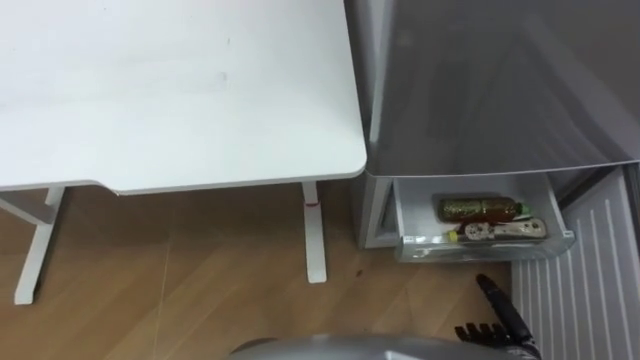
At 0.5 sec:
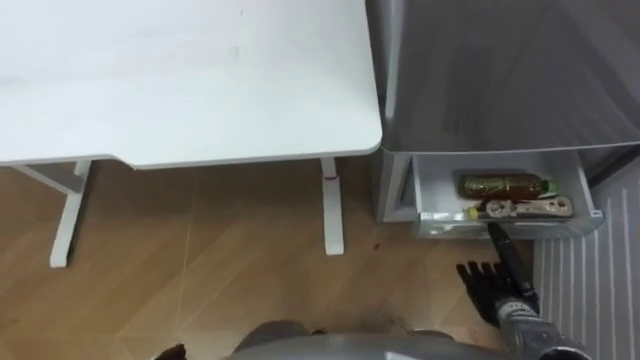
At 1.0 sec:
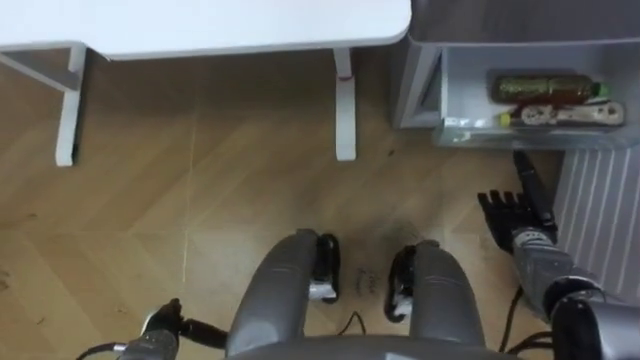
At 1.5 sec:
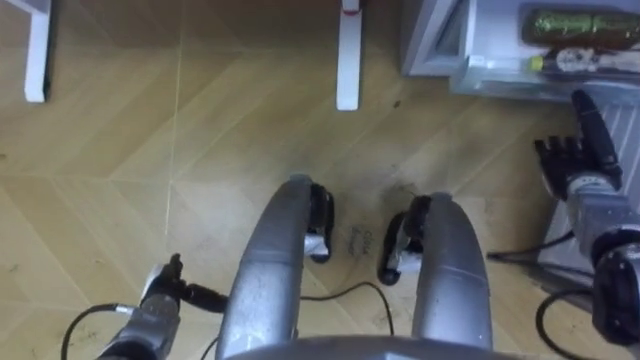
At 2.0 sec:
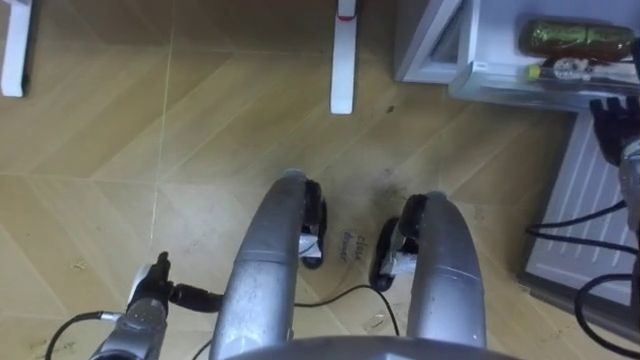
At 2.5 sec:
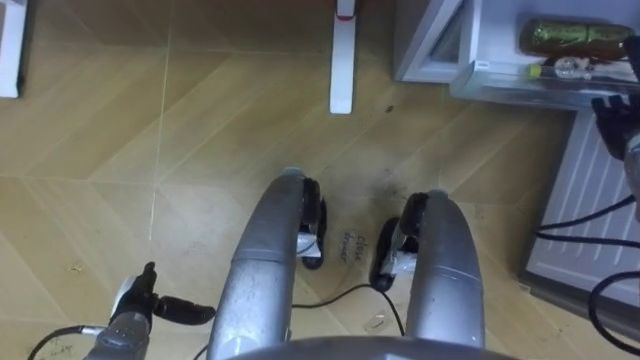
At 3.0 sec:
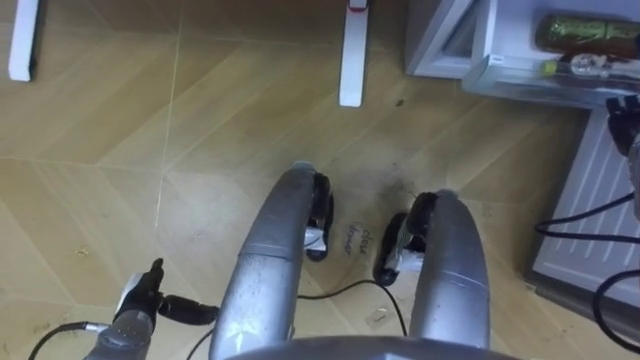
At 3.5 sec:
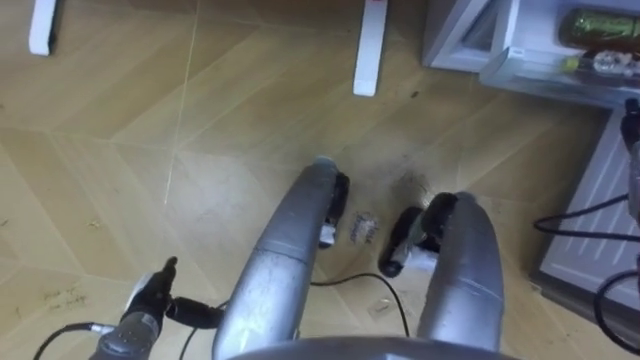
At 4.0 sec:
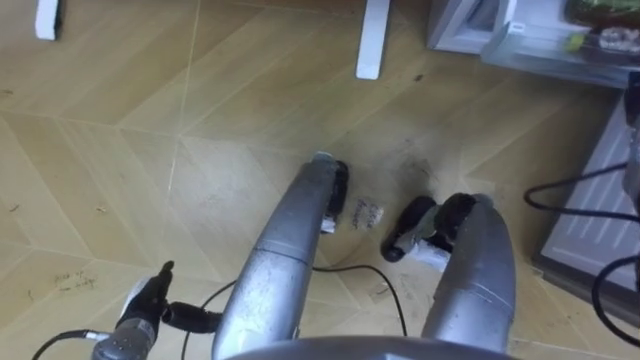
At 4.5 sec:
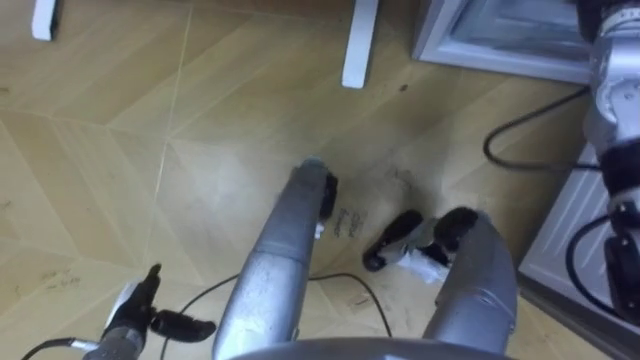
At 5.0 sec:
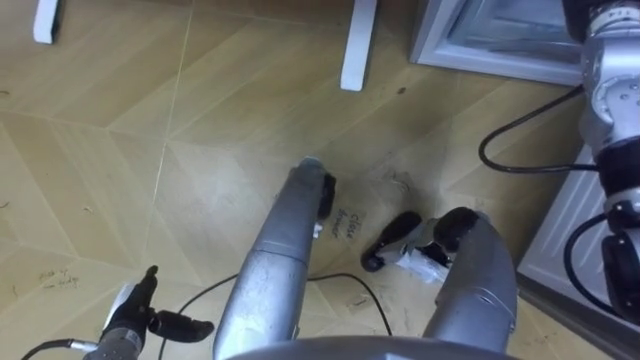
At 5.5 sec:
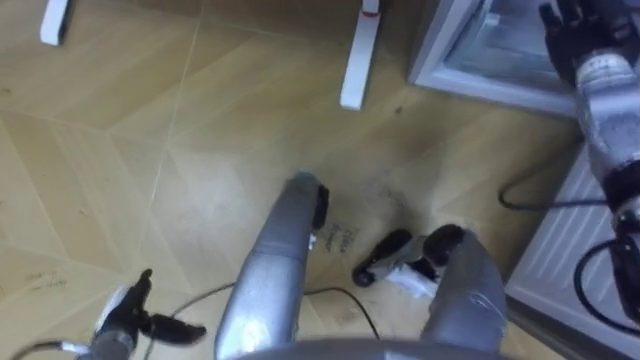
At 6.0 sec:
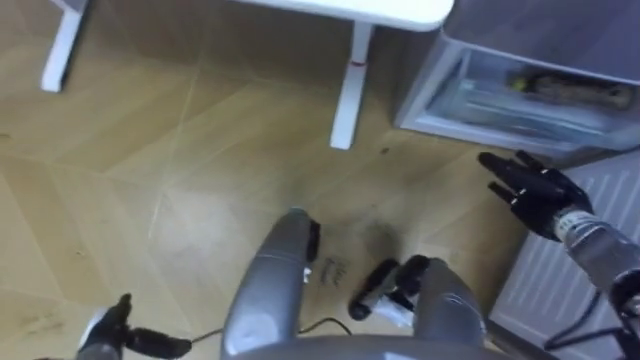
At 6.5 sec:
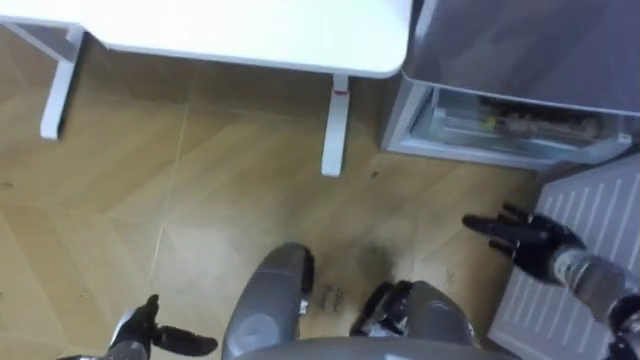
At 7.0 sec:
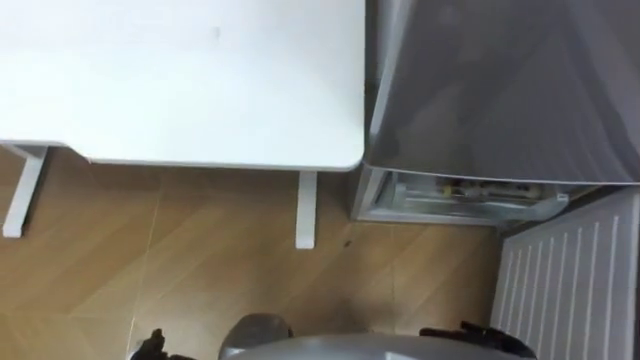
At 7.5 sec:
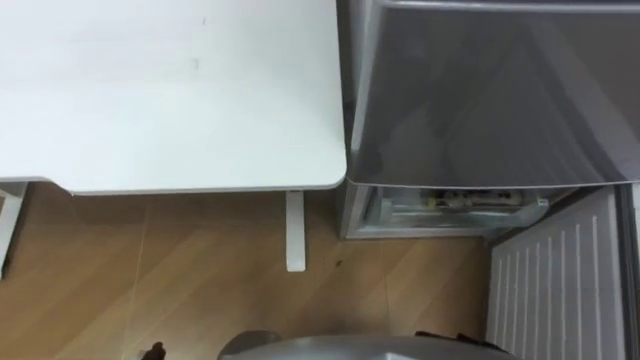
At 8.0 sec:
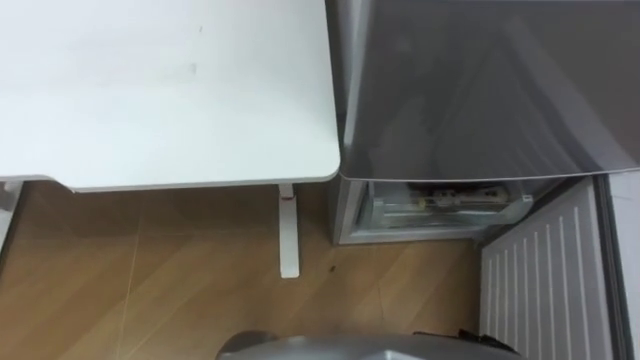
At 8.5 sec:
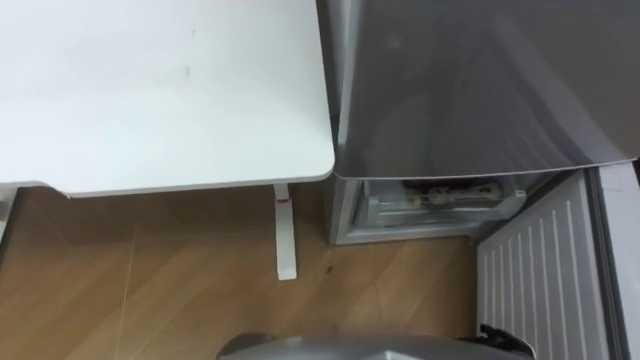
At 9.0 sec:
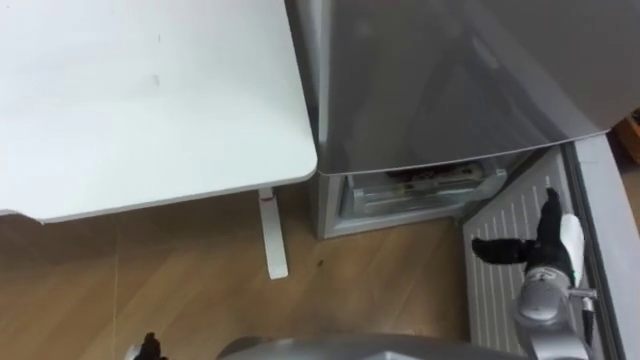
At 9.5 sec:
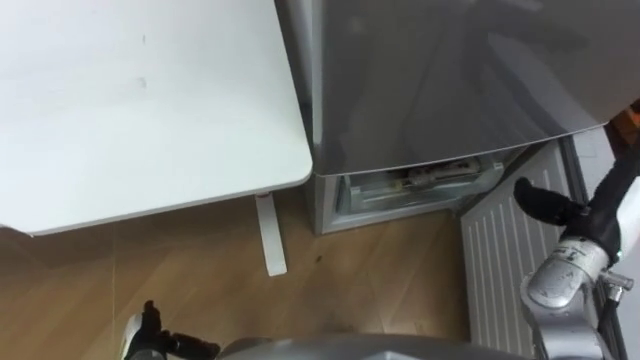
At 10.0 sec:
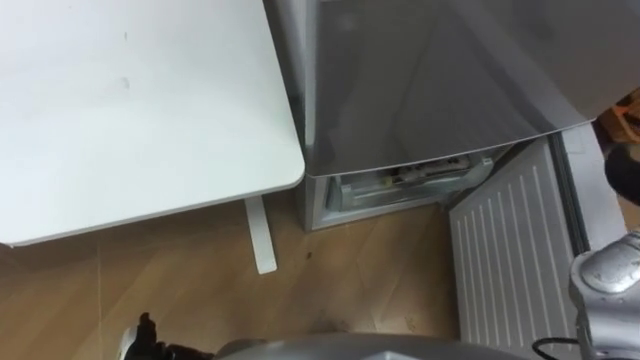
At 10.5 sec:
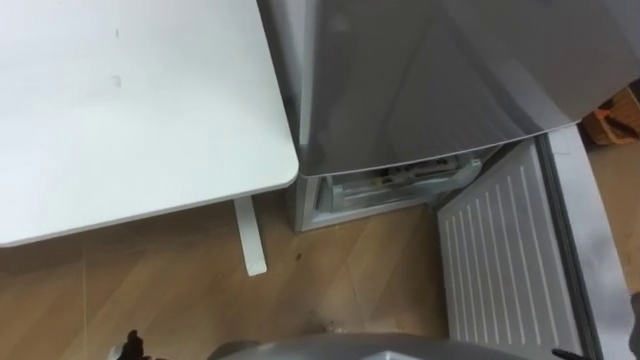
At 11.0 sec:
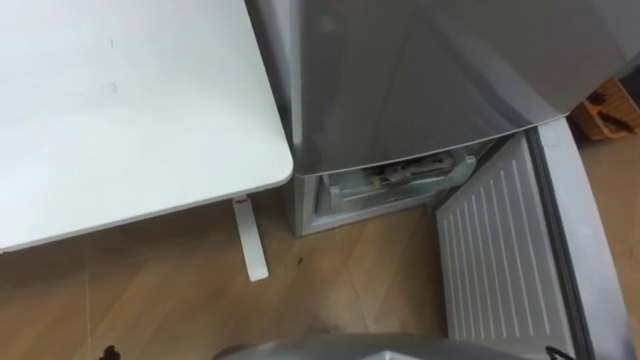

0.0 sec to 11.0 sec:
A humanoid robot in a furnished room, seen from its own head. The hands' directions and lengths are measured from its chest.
Task of the whole recording: Place the drink on the table on the bottom shelf of the refrigerator, then close the drawer and the refrigerator door.
0.0 sec to 2.0 sec: The right hand shifts some 35 cm forward, upward and to the right.

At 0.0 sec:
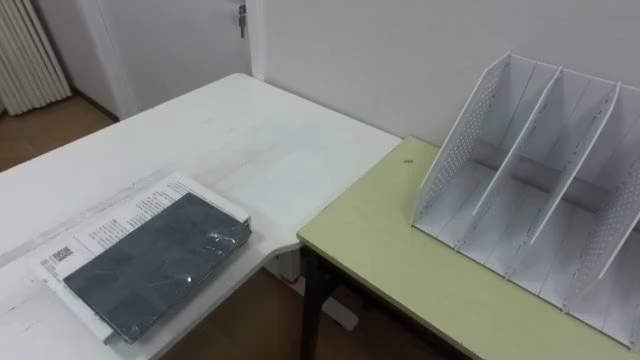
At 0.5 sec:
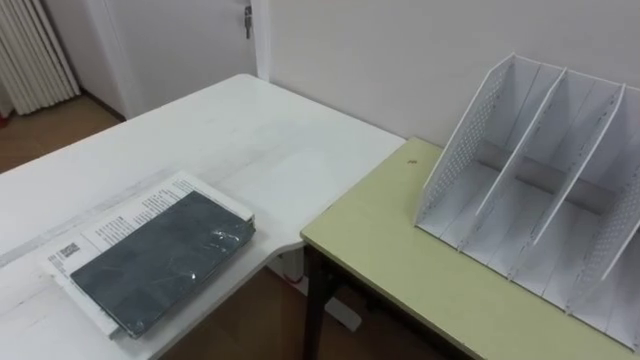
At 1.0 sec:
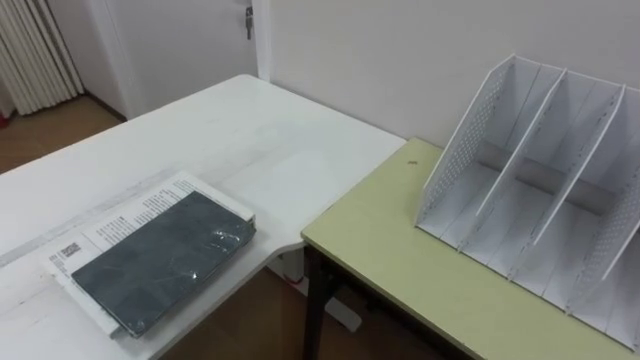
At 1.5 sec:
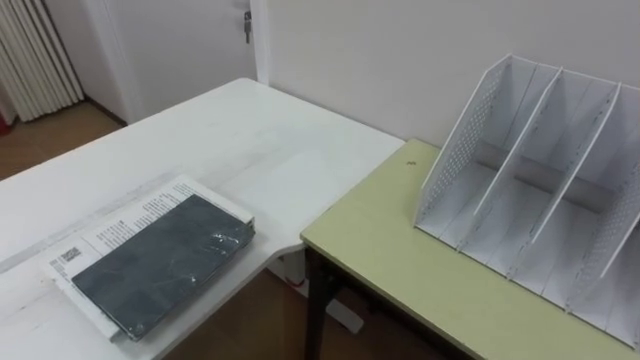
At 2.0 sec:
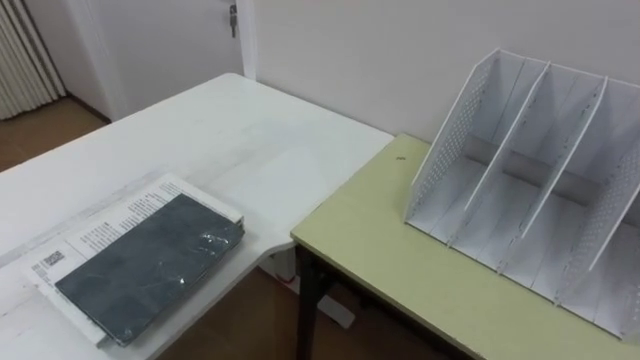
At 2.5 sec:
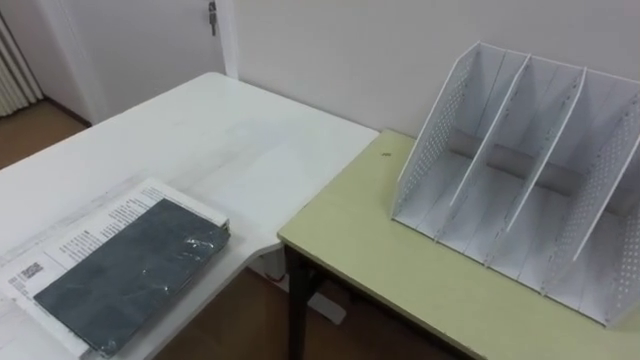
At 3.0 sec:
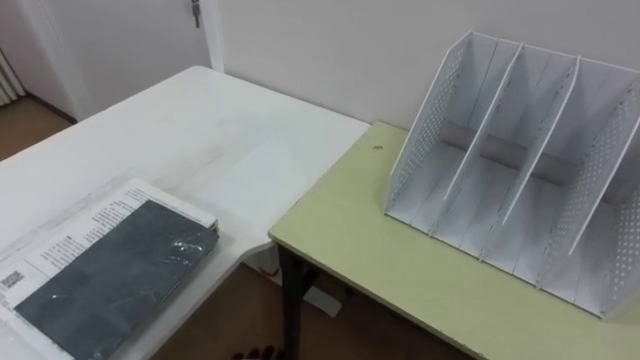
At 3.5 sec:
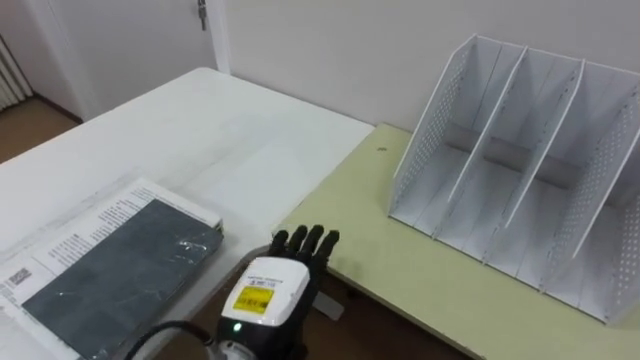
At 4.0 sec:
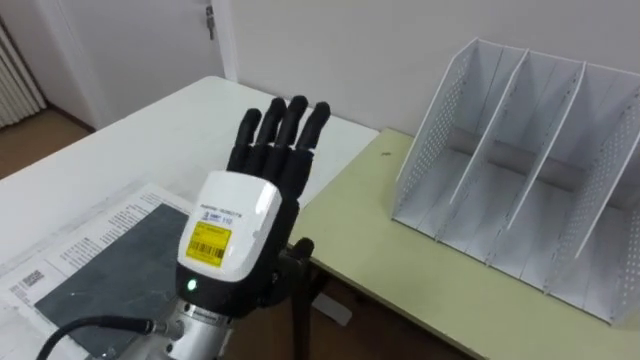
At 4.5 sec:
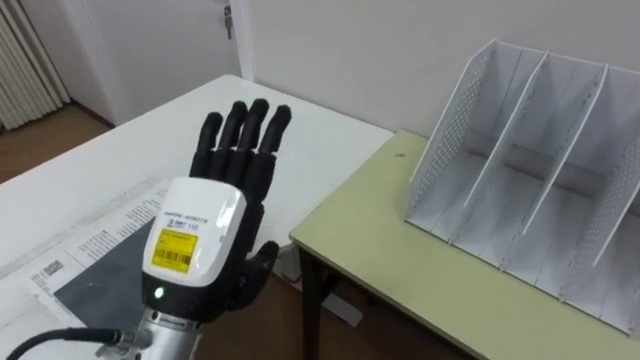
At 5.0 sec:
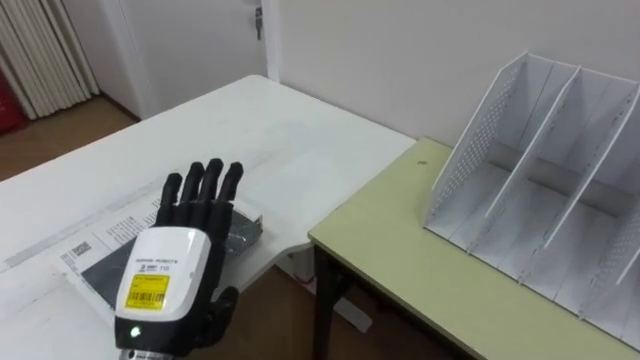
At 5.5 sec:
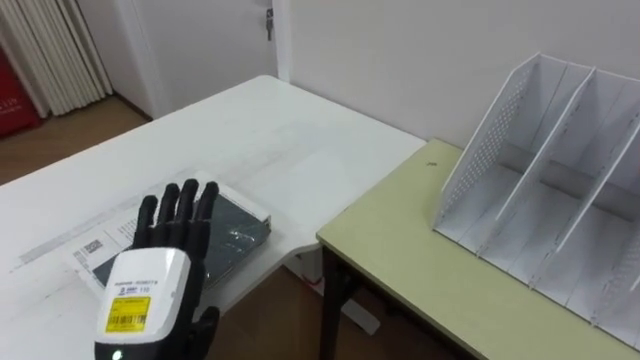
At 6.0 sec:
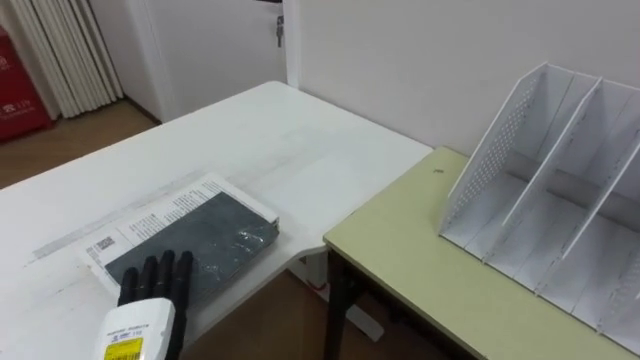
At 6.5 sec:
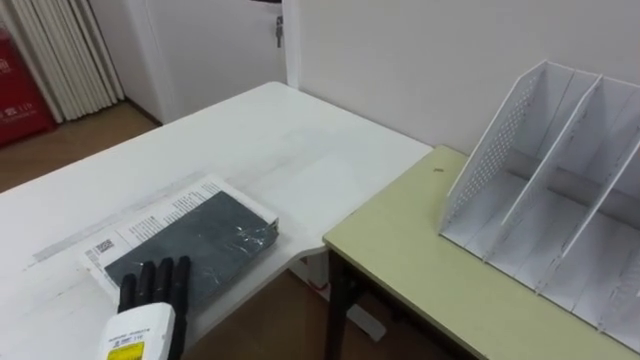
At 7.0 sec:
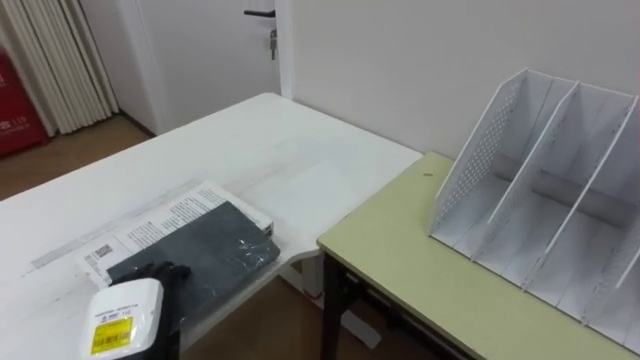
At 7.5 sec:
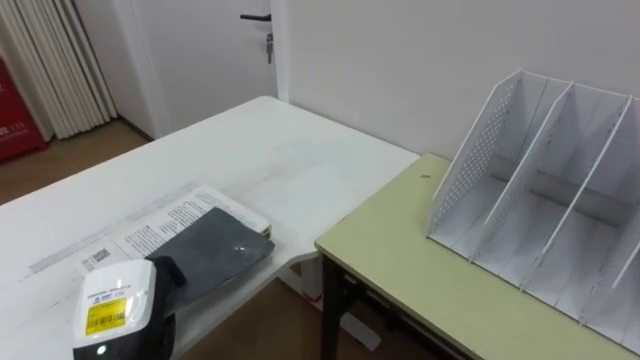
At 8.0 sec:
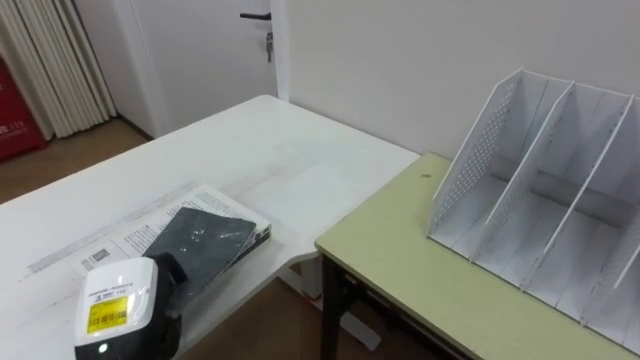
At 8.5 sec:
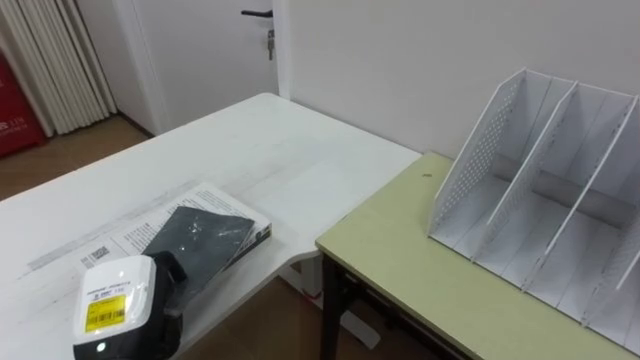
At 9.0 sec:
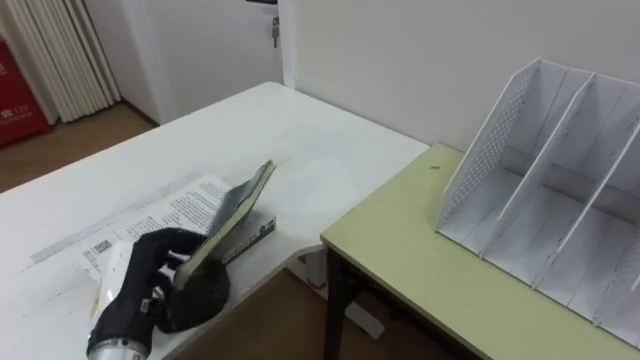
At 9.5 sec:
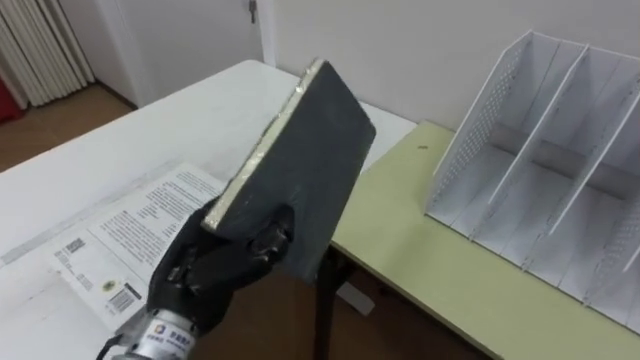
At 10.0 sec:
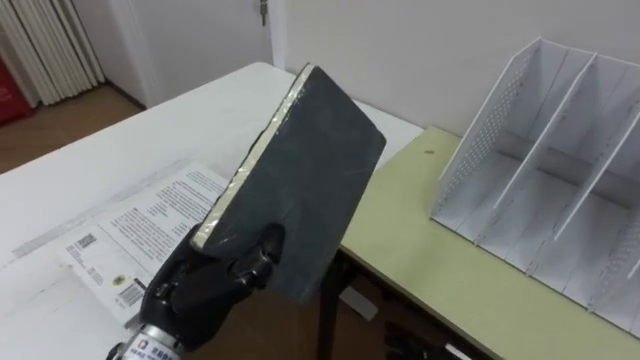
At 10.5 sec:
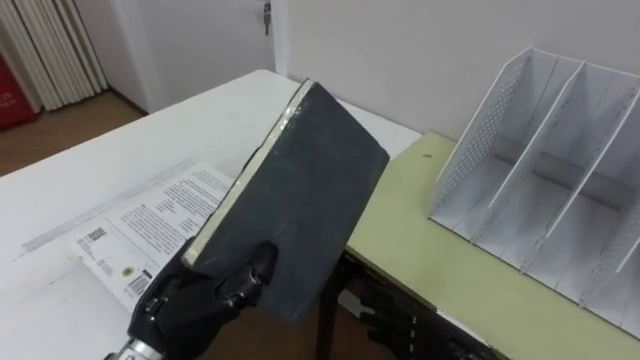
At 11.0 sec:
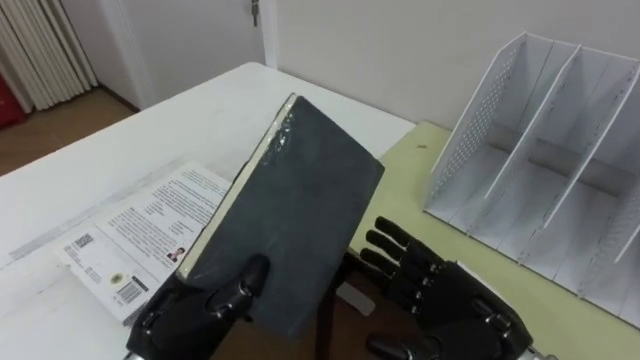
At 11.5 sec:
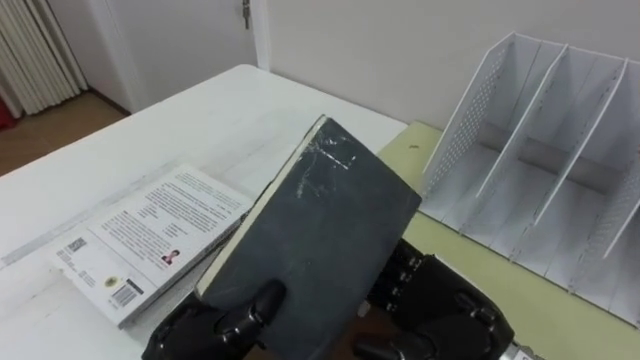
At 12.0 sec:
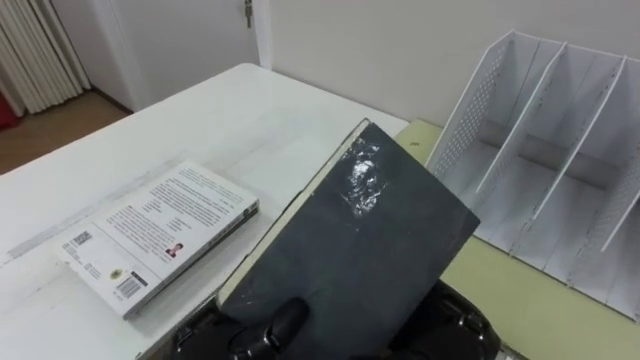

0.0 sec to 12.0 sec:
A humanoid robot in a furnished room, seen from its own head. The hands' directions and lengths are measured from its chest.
Task of the whole recording: Put the books on the table onto the bookshelf.
4.0 sec to 6.0 sec: The left hand shifts about 20 cm downward and to the left.
6.0 sec to 8.0 sec: The left hand closes its fingers.
8.0 sec to 10.0 sec: The left hand moves to the right and upward, roughly 10 cm.
10.0 sec to 12.0 sec: The left hand ends up some 5 cm from where it was.
